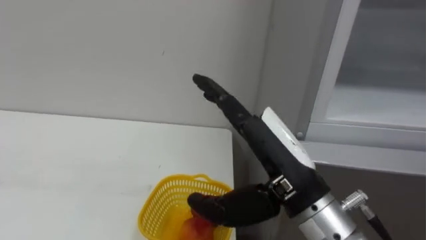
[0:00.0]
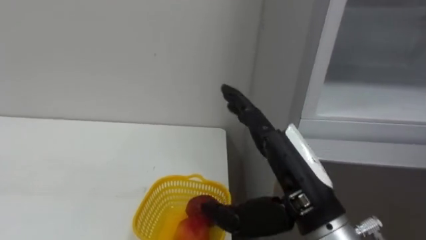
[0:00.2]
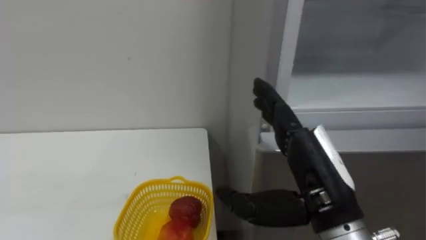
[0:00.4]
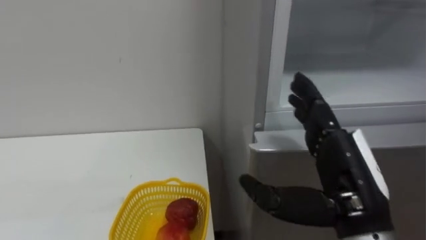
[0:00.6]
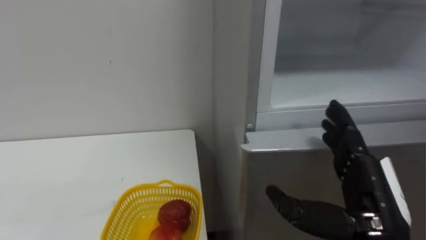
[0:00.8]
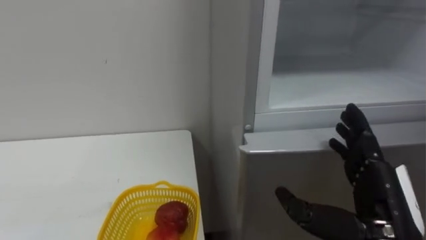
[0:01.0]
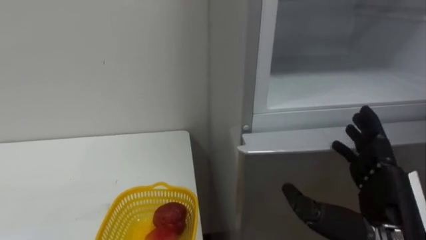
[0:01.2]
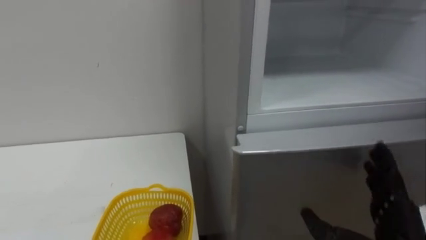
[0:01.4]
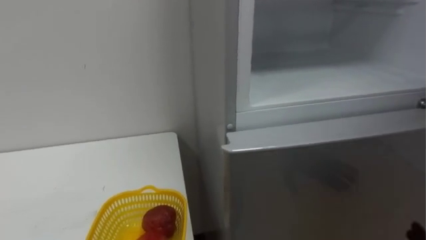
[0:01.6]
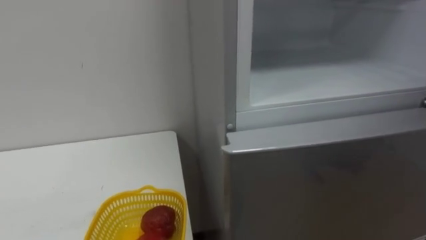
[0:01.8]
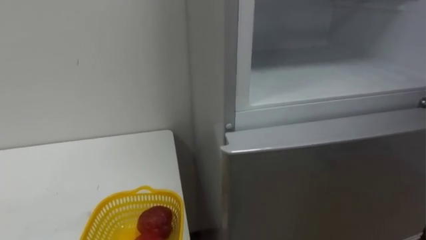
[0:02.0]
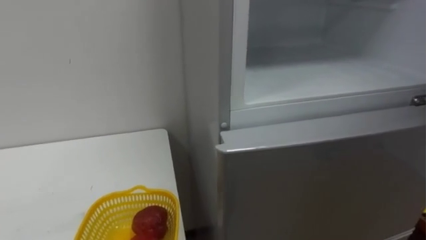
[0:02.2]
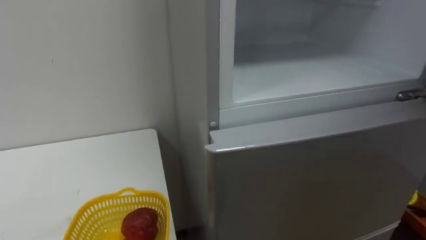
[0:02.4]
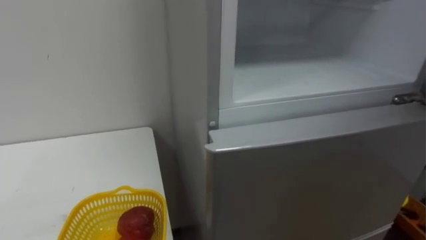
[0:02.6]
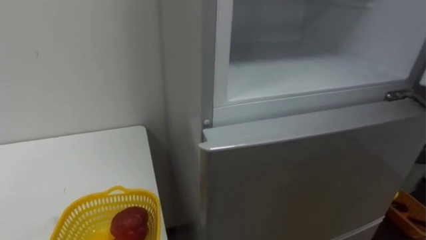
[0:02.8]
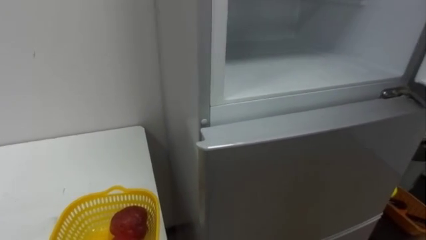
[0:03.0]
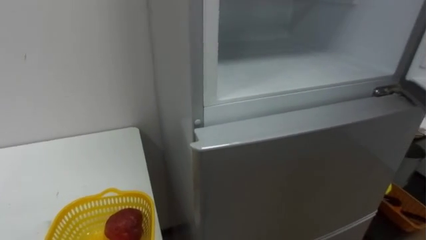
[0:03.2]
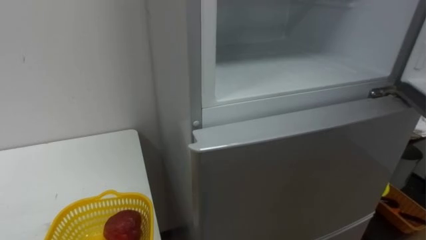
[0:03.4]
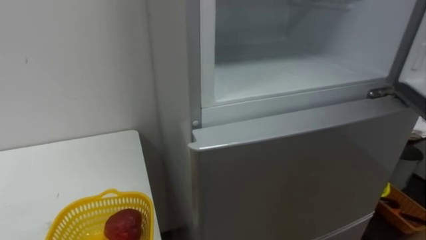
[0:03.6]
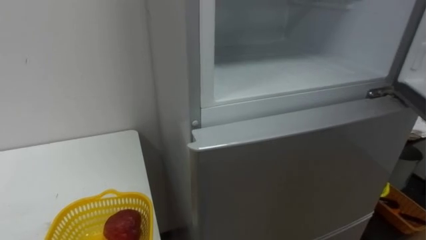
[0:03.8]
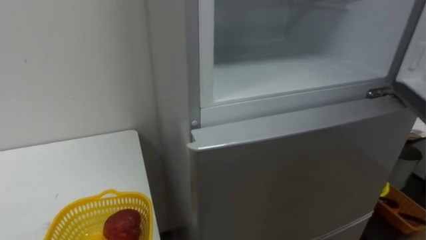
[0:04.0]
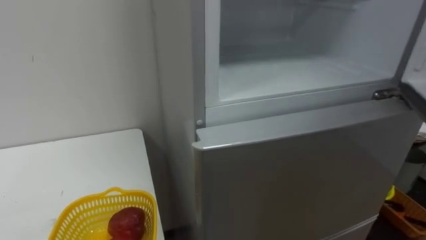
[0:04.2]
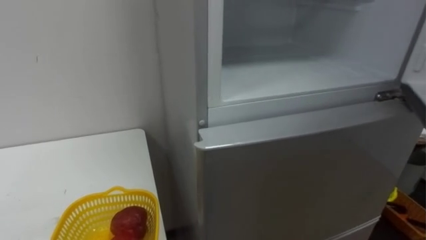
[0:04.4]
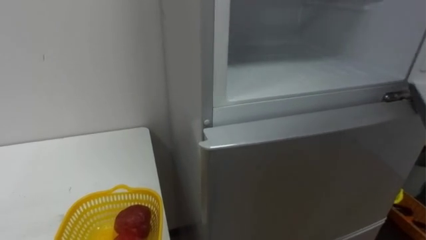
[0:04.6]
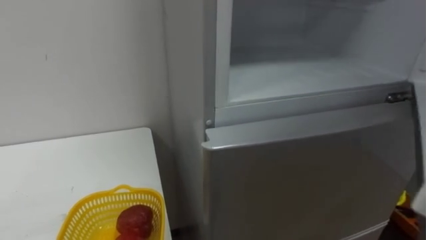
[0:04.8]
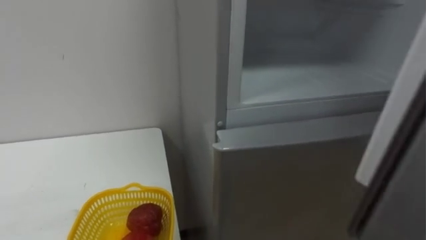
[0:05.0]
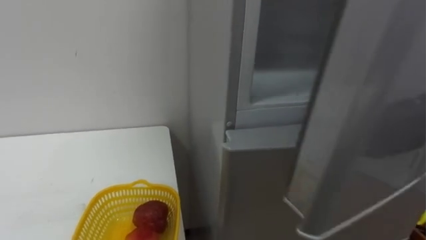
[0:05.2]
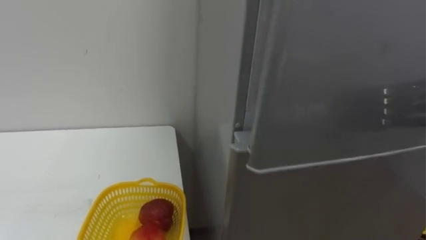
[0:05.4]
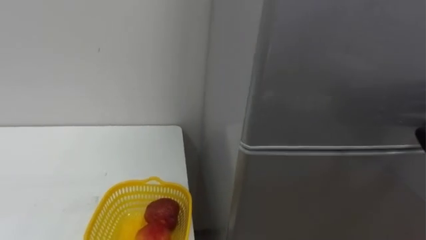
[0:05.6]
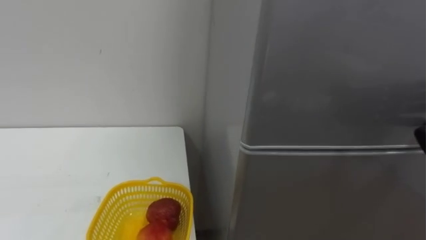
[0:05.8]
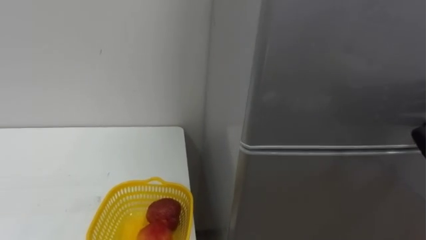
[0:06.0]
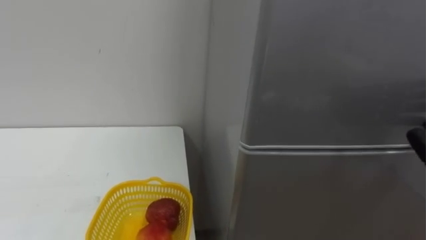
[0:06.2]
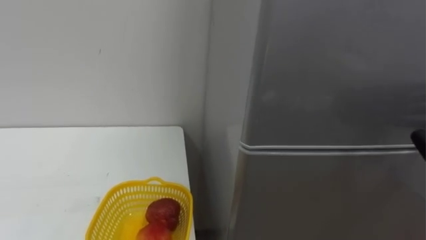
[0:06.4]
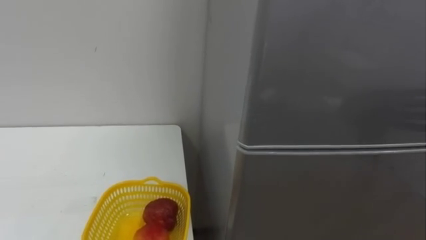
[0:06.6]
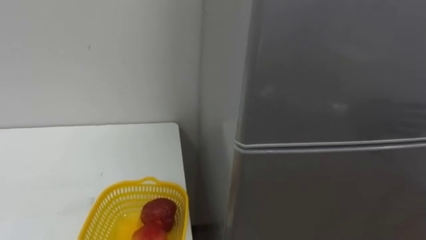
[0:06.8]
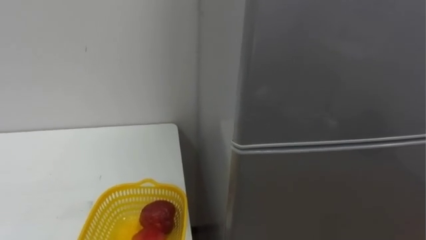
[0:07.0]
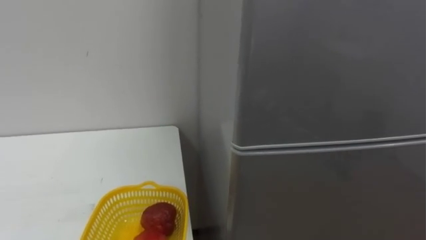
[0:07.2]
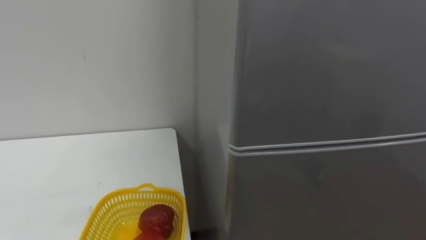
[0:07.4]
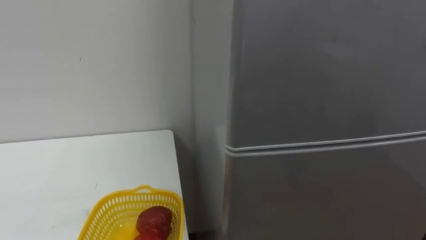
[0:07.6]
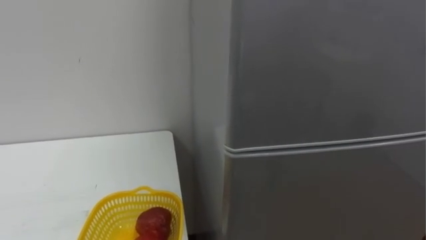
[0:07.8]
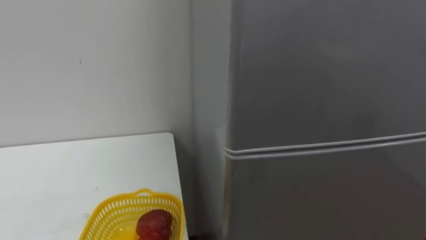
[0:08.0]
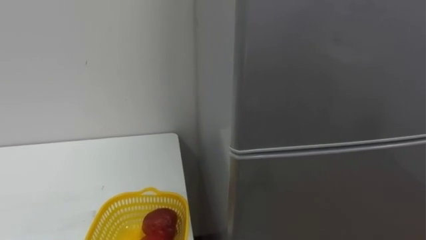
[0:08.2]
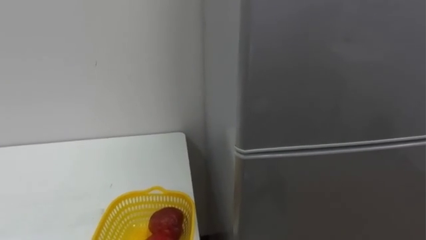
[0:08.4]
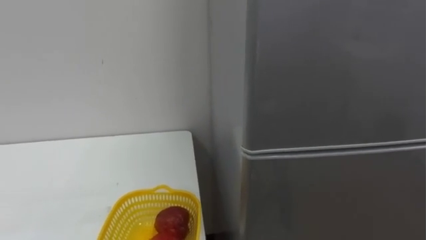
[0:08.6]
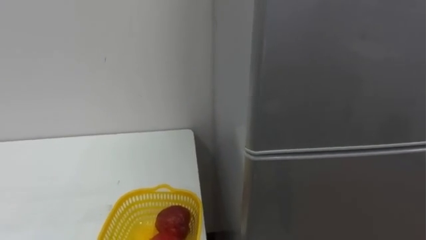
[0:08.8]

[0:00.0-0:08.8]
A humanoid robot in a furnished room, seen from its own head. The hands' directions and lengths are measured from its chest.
Task of the whole recording: Open the refrigerator door, take out the apple and the pomegranate, place them in the fruit basket on the left, and close the refrigerator door.
0:00.0 to 0:01.4: The right hand travels to the right and downward by approximately 20 cm.

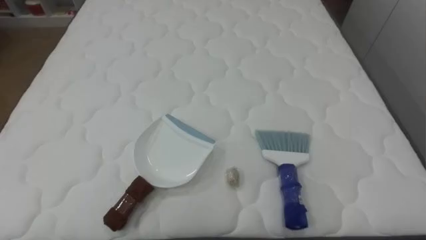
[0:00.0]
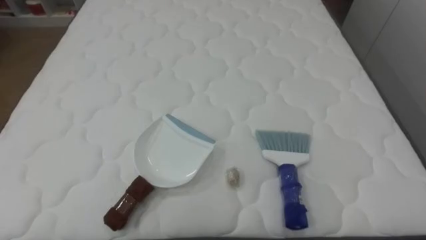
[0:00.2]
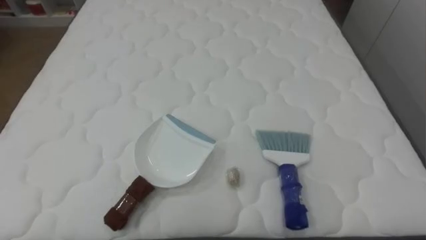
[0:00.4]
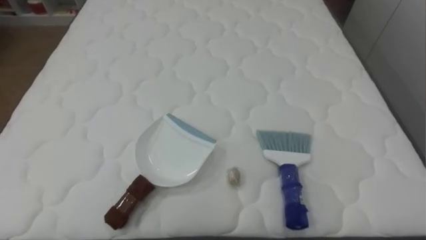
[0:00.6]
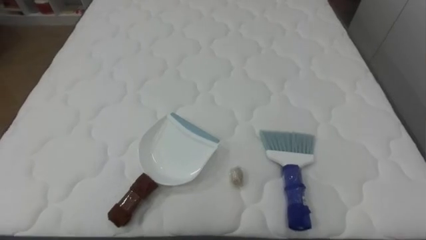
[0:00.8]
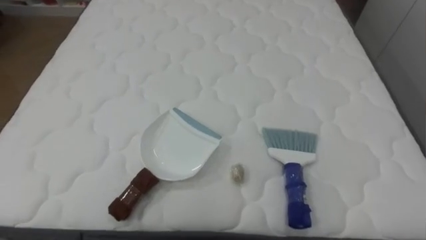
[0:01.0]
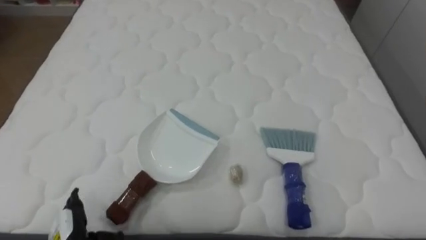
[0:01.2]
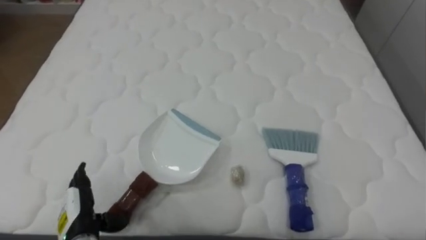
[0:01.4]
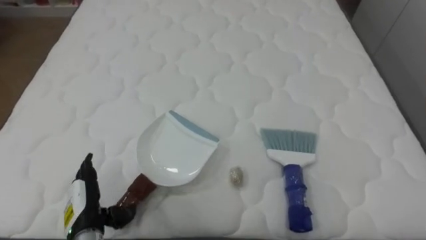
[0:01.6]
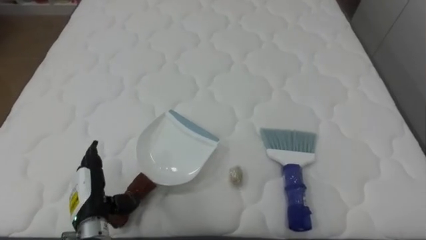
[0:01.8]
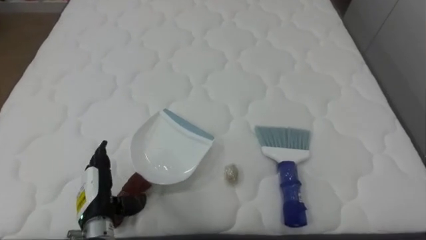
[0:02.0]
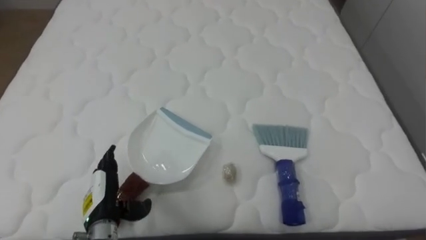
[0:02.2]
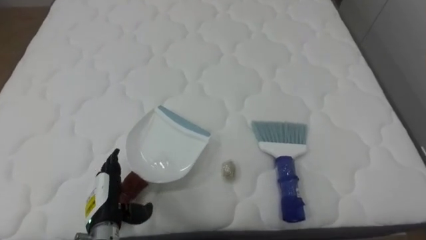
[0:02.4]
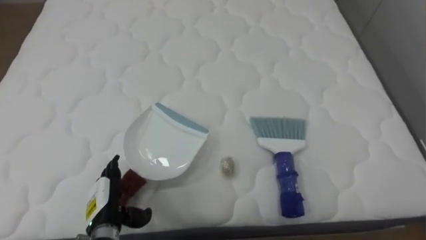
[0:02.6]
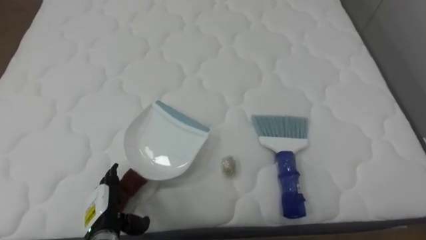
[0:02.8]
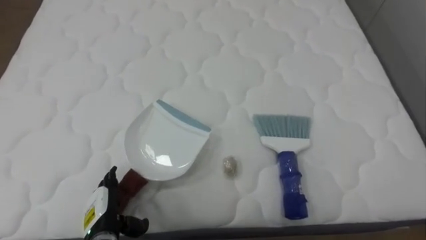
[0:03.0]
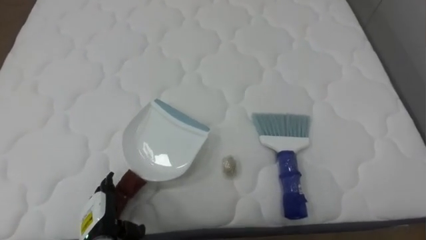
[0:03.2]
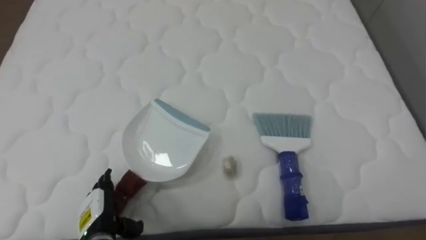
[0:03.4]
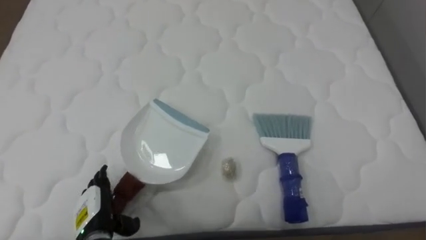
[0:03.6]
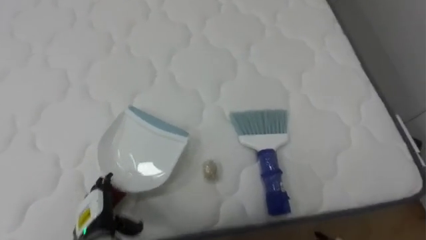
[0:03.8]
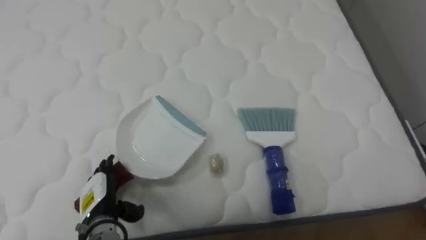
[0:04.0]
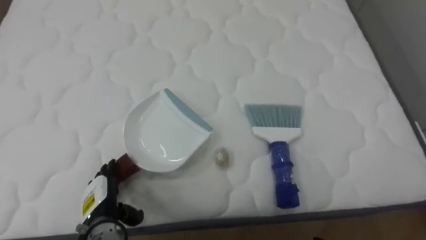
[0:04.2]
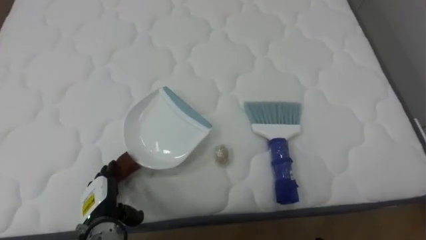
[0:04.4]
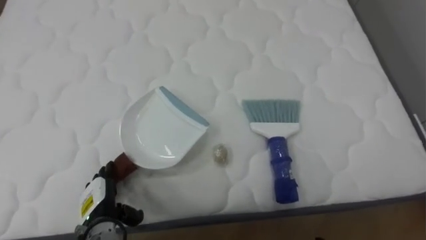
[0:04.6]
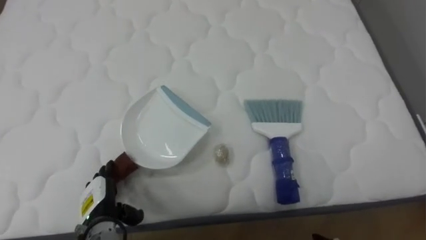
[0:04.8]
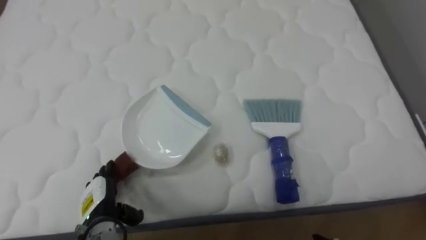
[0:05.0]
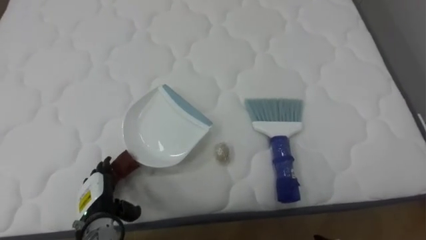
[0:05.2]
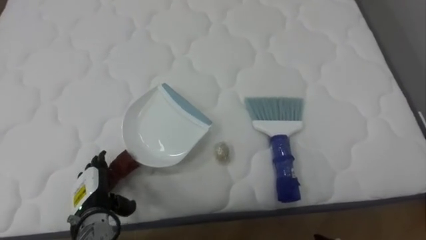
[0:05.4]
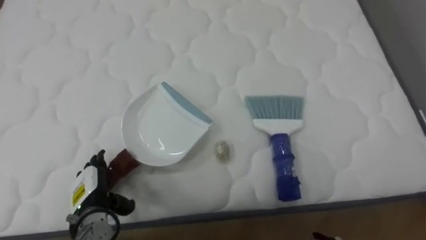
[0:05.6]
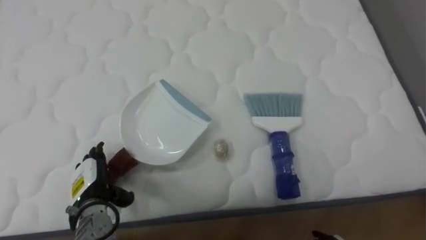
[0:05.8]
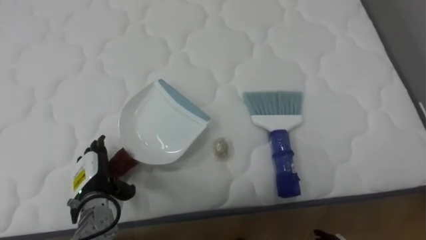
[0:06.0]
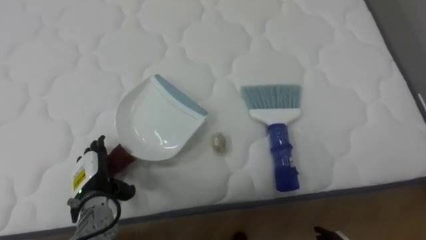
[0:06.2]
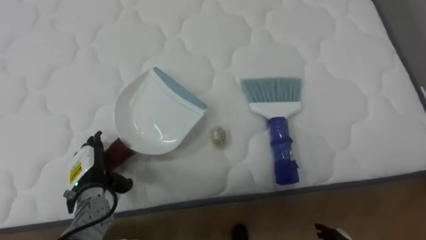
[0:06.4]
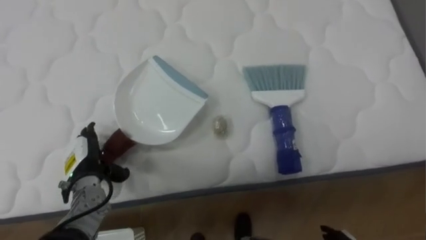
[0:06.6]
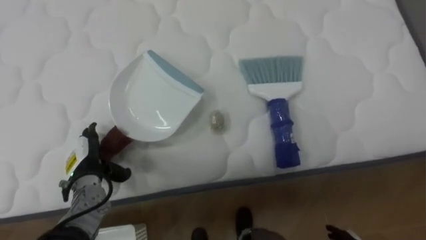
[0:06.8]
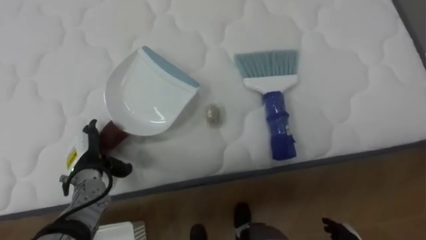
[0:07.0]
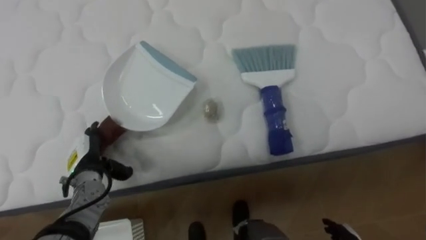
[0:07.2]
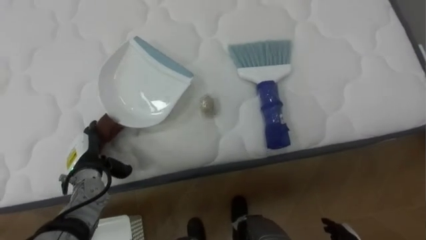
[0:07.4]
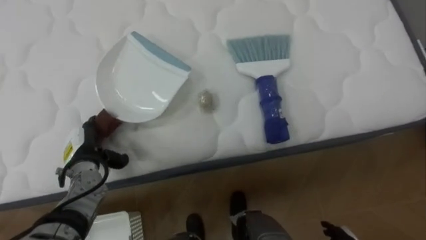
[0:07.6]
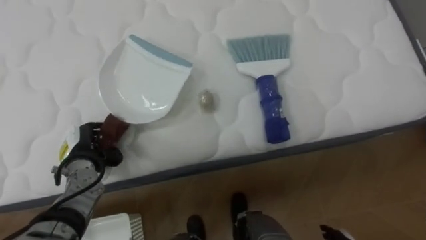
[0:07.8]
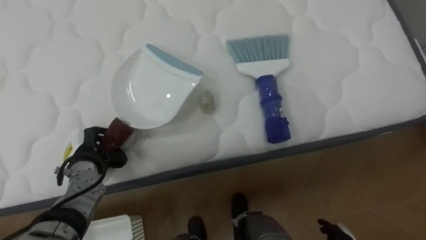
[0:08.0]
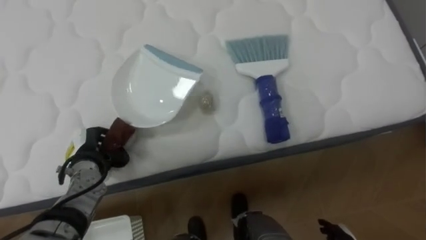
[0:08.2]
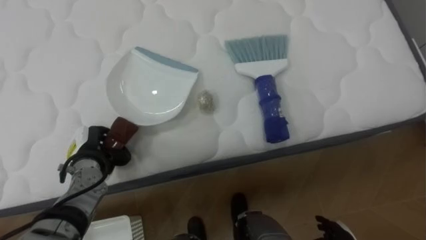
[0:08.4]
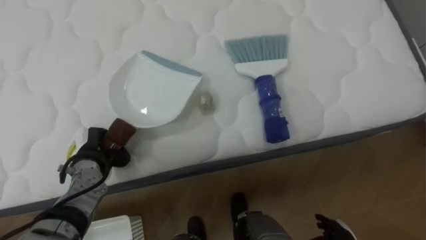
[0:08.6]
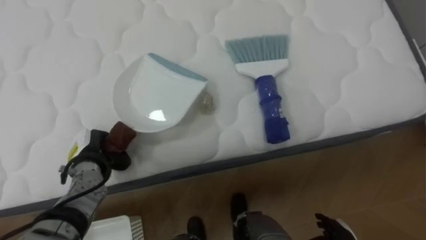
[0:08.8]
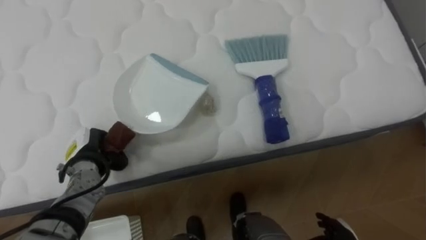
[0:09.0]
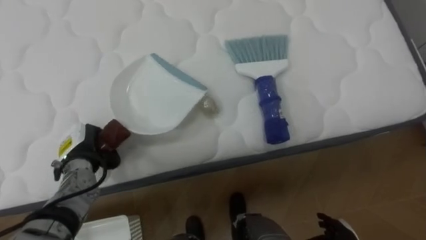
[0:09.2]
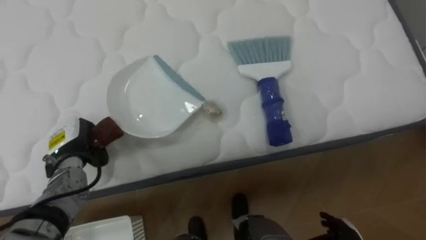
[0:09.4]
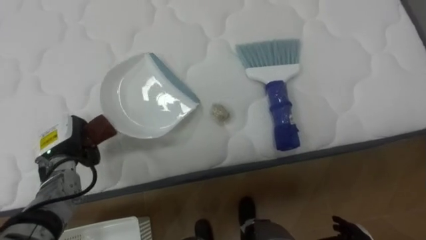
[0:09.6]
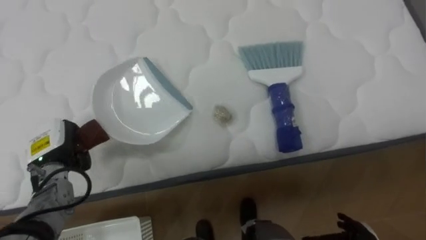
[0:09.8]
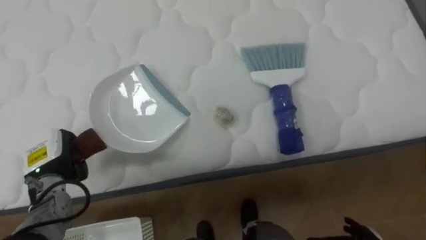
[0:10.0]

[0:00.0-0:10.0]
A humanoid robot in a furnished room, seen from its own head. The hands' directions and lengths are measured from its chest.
Task of the whole recording: Pick up the brush on your right and the dustpan on your left. Use the brush to sweep the crumpled paper on the bed into the dustpan, then turn left and empty it into the basket.
0:05.8 to 0:07.2: The left hand moves approximately 5 cm.
0:07.2 to 0:08.6: The left hand closes up.
0:08.6 to 0:10.0: The left hand is displaced to the left by about 5 cm.
